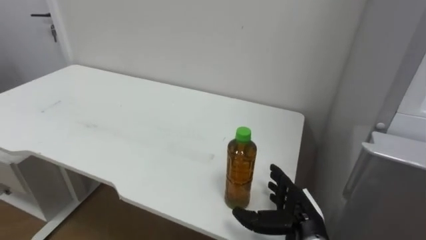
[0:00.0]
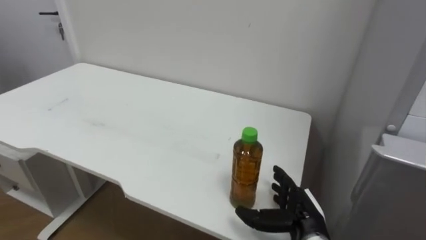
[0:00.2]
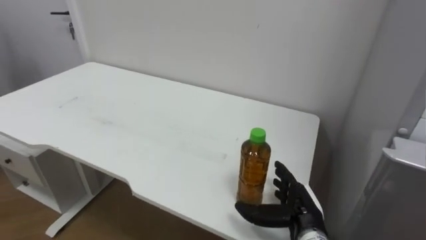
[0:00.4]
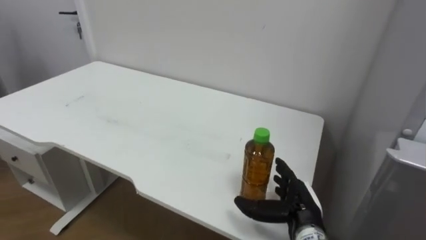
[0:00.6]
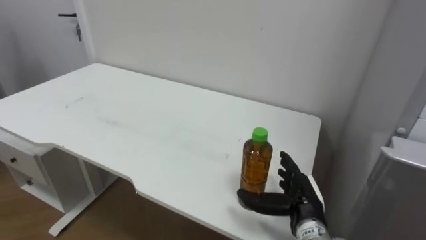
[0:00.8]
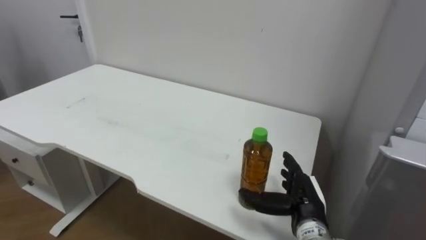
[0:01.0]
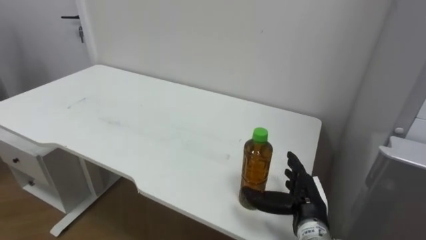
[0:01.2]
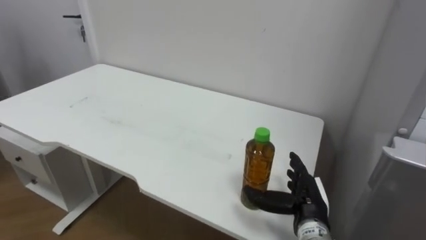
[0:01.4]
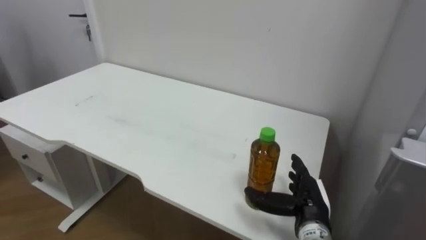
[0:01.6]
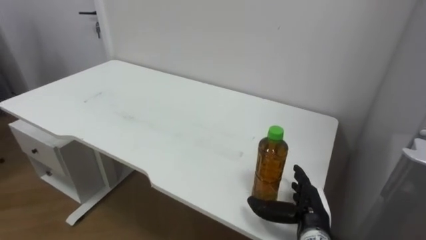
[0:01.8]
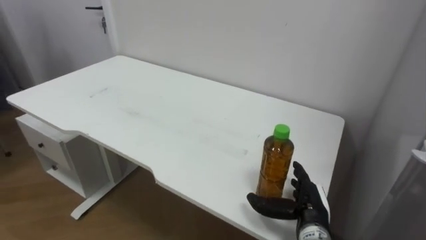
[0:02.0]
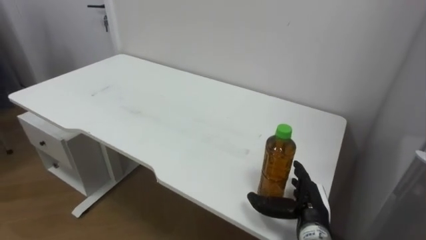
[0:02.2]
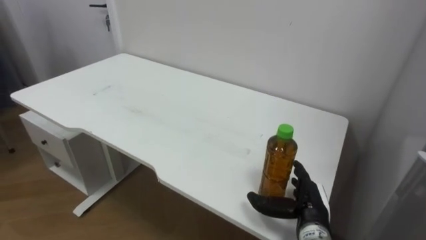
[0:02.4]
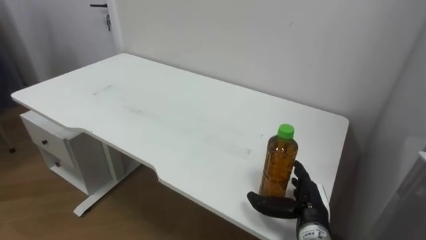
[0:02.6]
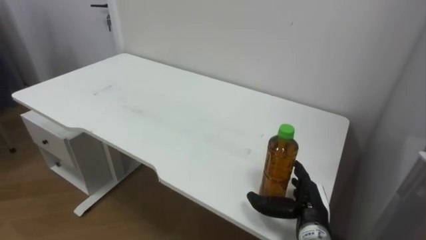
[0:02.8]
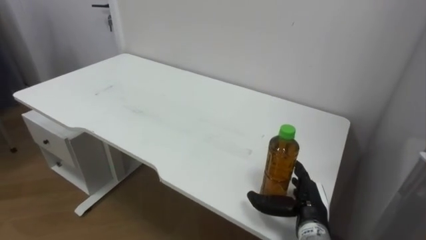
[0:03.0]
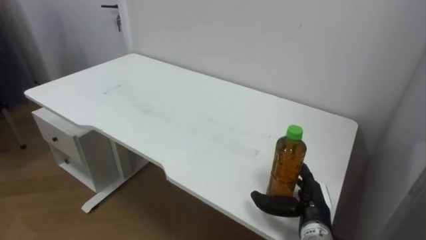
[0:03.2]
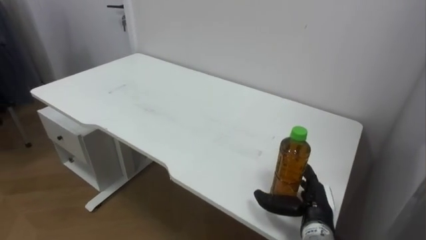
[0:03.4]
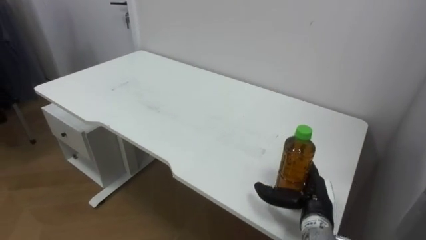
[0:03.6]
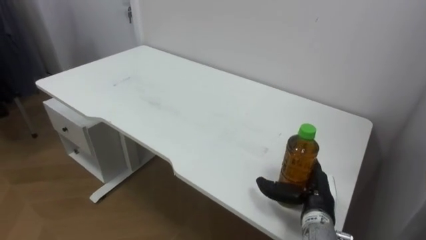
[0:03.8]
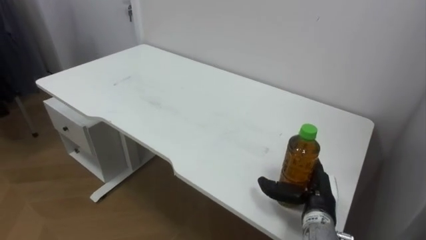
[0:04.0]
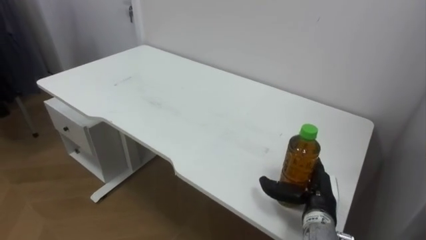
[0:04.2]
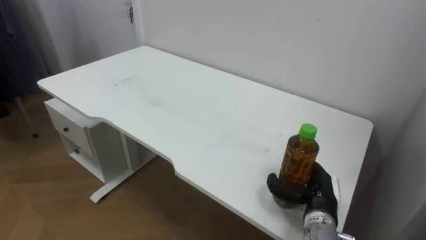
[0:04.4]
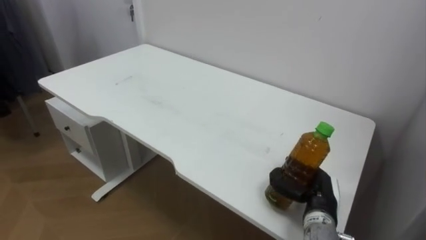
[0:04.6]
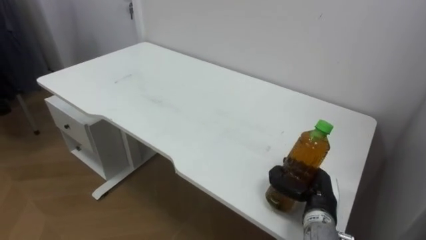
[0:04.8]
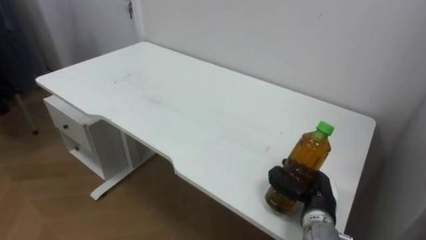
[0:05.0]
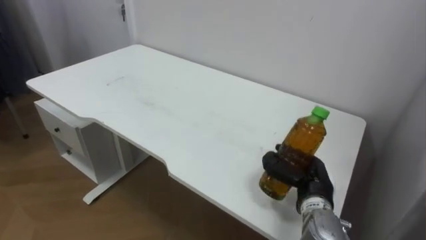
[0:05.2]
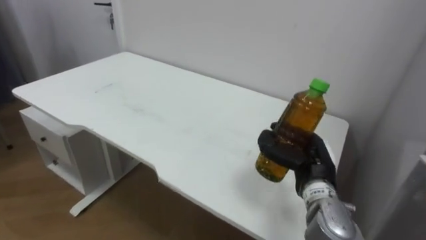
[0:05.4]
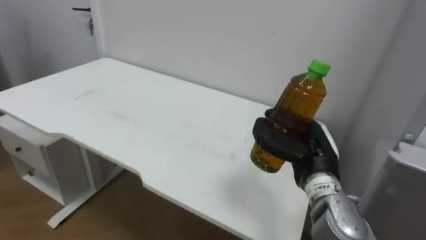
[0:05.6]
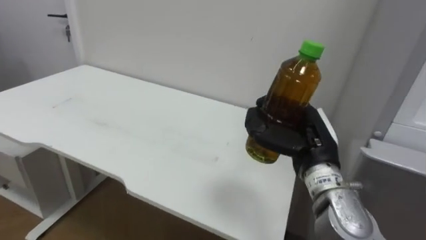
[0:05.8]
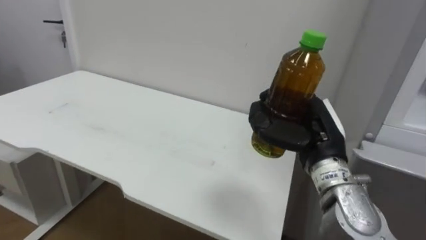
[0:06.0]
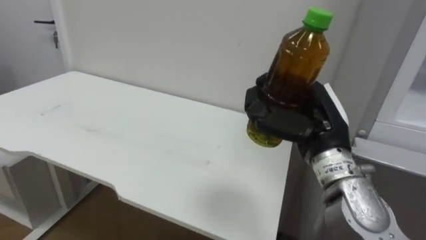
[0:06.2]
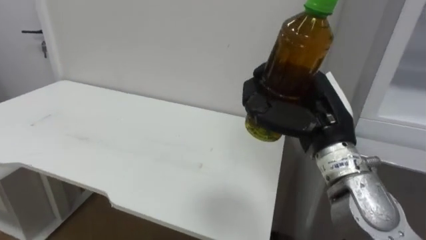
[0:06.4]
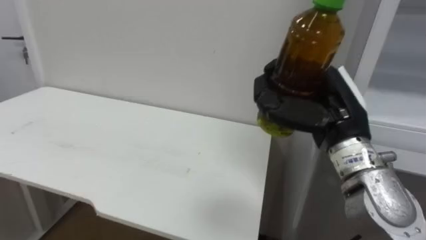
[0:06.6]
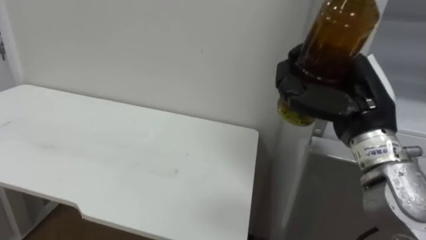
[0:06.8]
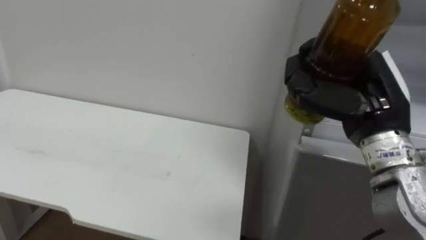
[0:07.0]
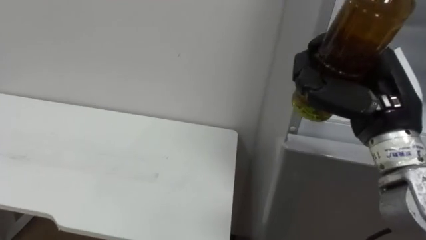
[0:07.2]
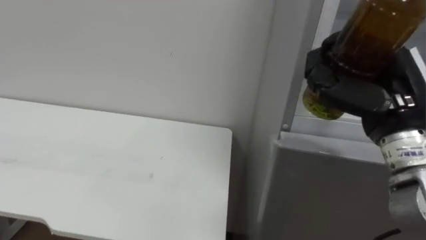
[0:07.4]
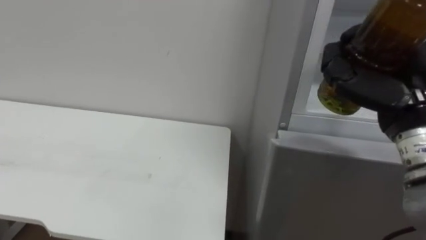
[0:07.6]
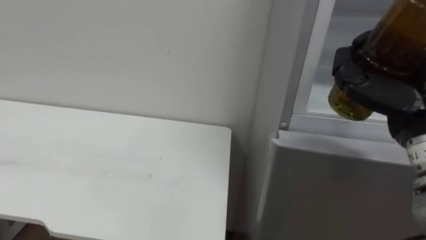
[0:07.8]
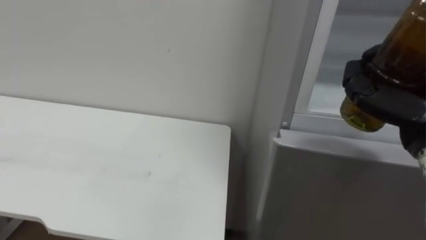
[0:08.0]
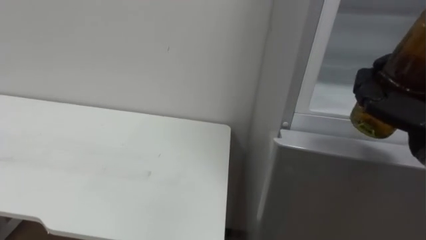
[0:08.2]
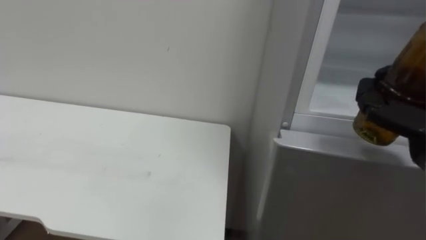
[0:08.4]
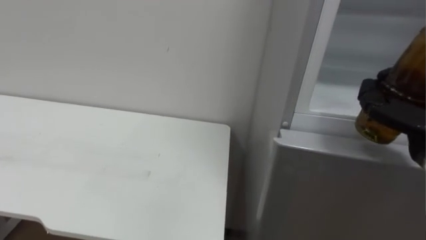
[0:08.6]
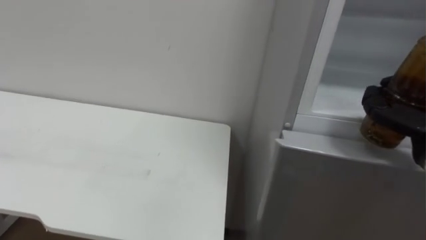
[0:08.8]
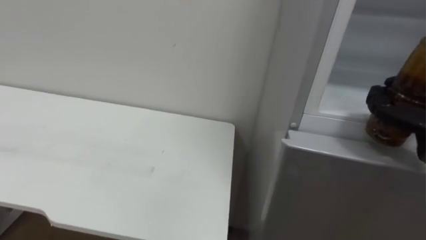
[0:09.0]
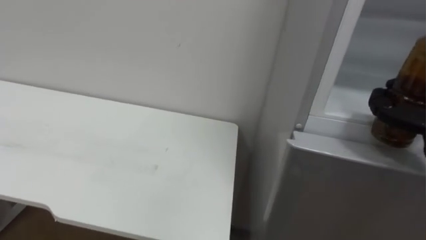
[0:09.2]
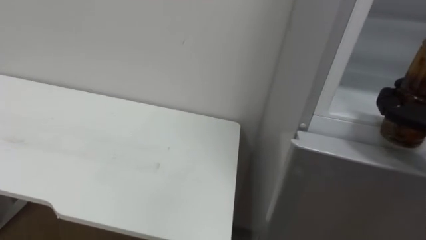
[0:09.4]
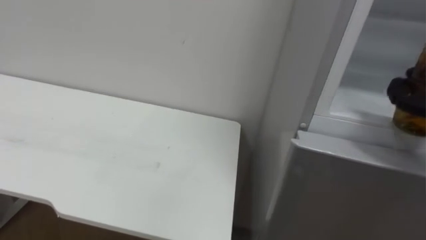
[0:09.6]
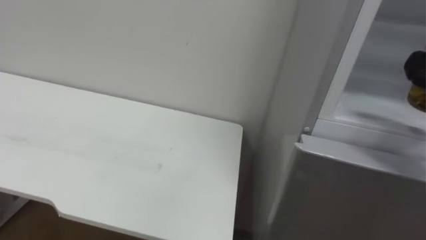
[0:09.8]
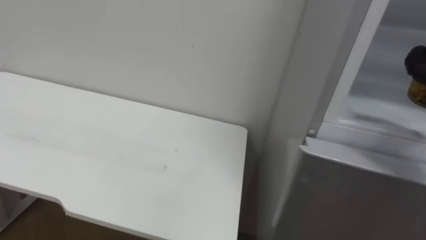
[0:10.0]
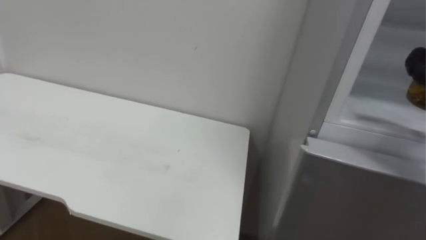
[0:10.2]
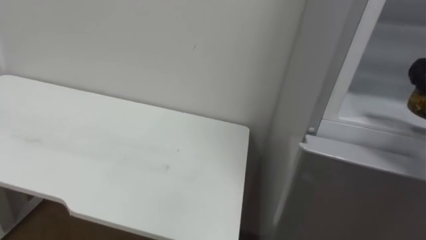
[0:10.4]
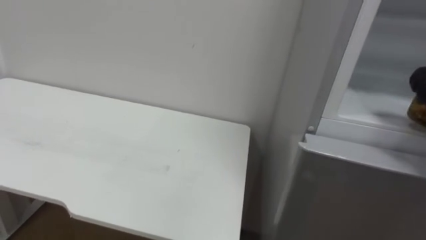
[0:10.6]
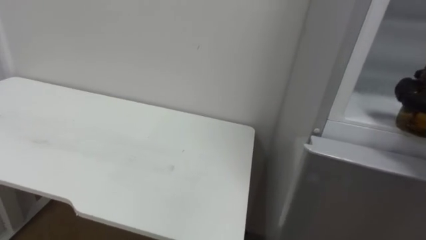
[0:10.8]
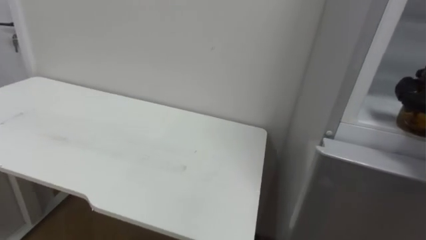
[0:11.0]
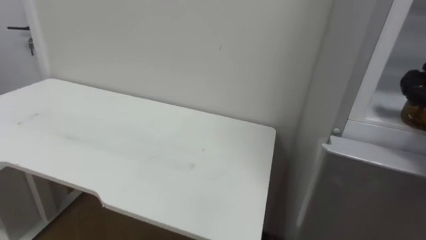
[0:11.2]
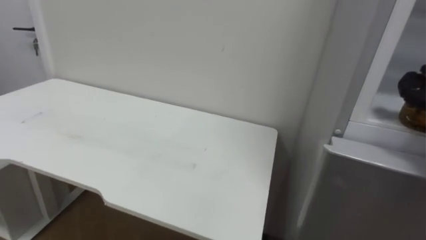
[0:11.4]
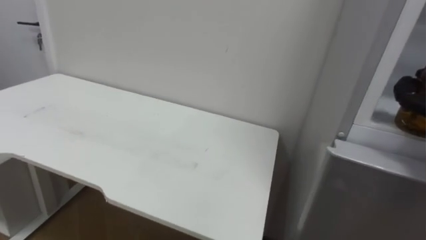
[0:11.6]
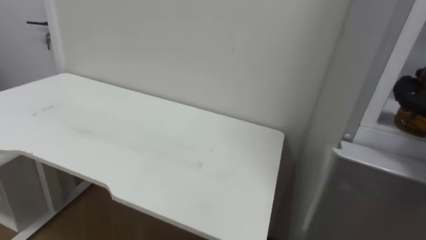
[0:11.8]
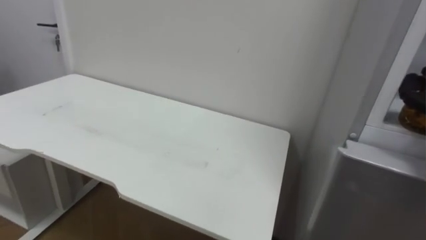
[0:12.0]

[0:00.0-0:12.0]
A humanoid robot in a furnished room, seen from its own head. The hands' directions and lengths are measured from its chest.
Task of the whole recording: Open the upper refrigerator door, put the drink from the table into the refrigerator, and then close the refrigerator door.
0:04.4 to 0:06.0: The right hand goes some 15 cm upward, and closes.
0:06.0 to 0:07.6: The right hand heads upward and to the right, covering about 10 cm.

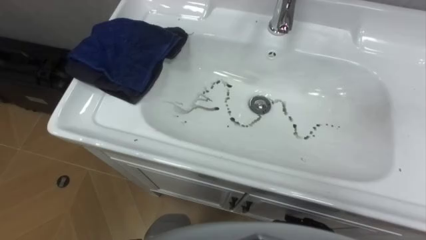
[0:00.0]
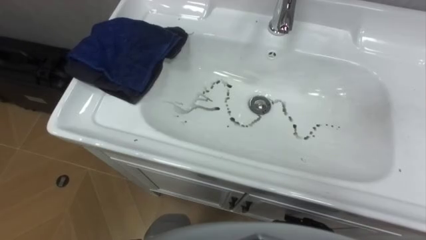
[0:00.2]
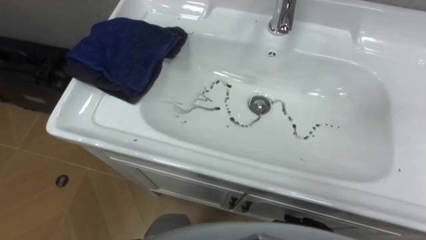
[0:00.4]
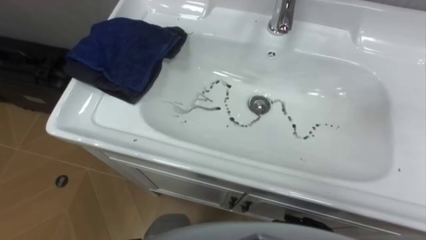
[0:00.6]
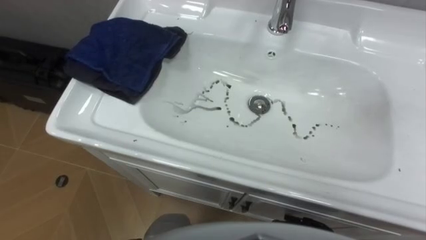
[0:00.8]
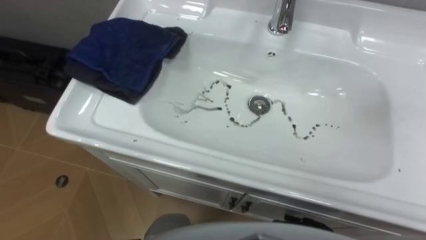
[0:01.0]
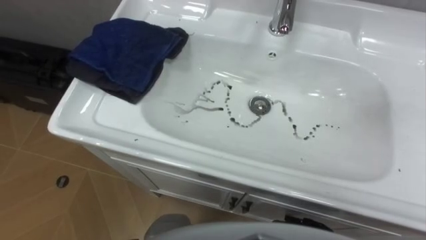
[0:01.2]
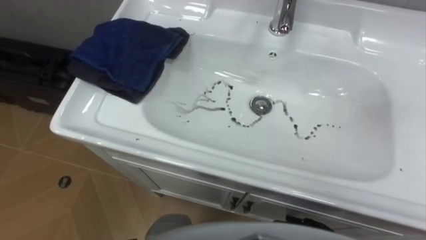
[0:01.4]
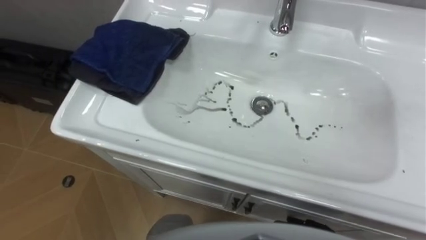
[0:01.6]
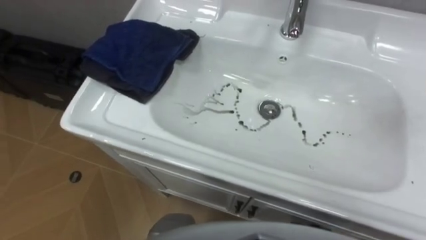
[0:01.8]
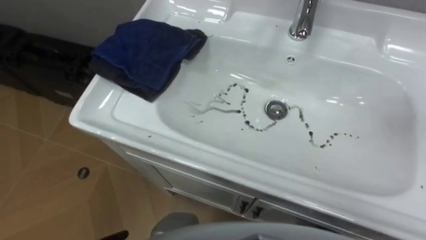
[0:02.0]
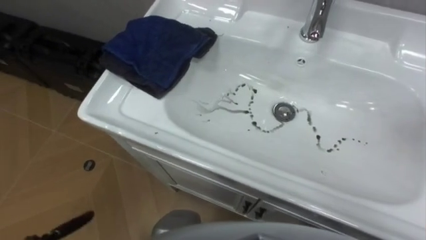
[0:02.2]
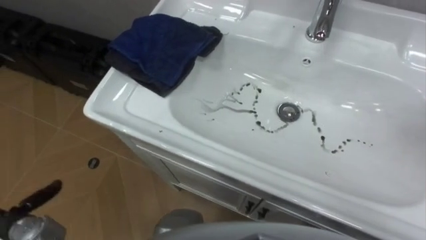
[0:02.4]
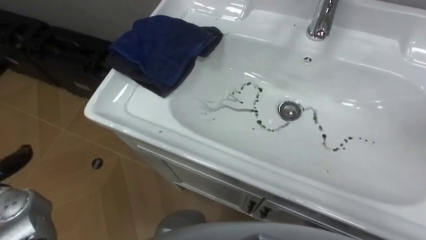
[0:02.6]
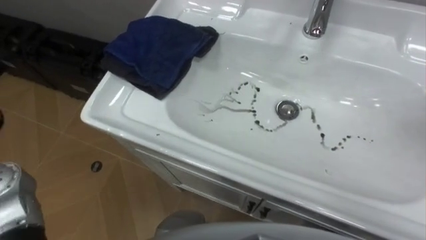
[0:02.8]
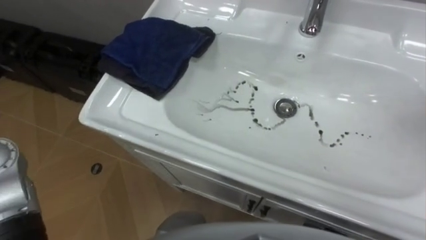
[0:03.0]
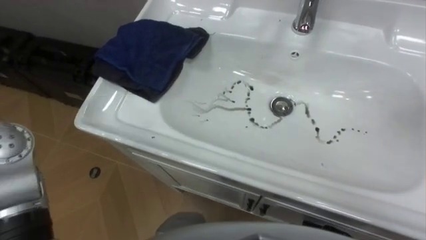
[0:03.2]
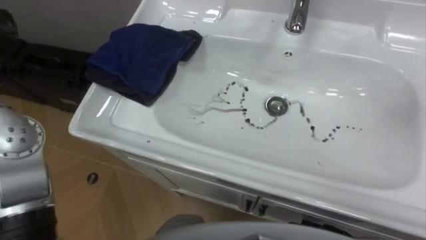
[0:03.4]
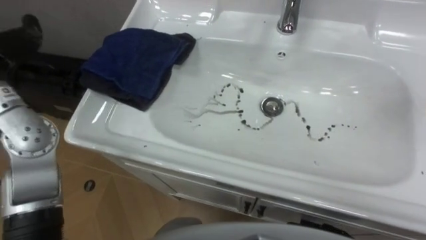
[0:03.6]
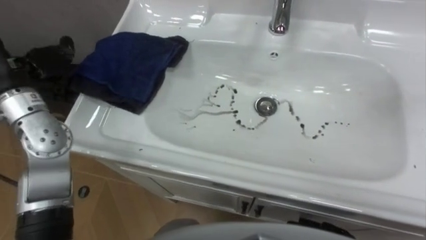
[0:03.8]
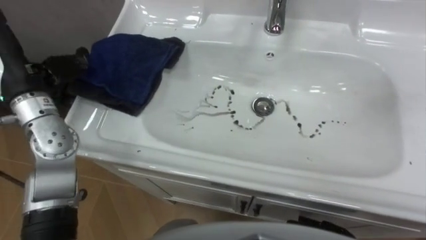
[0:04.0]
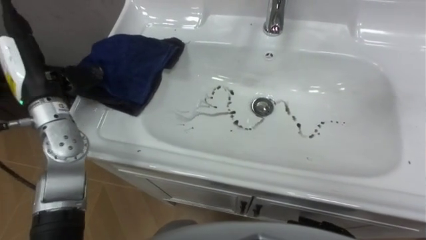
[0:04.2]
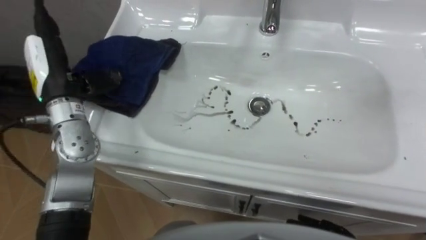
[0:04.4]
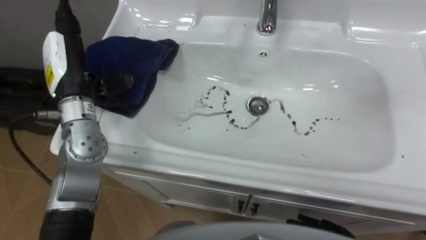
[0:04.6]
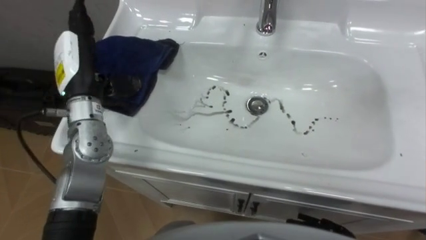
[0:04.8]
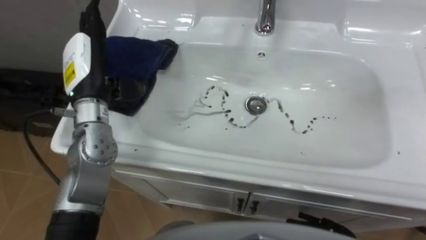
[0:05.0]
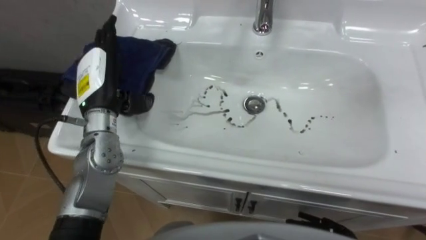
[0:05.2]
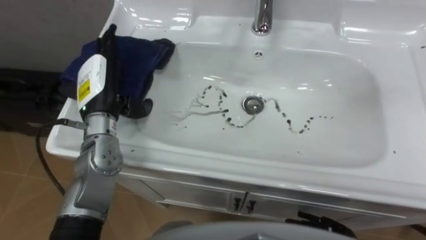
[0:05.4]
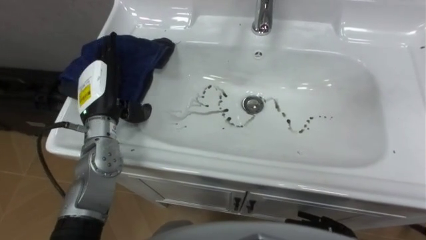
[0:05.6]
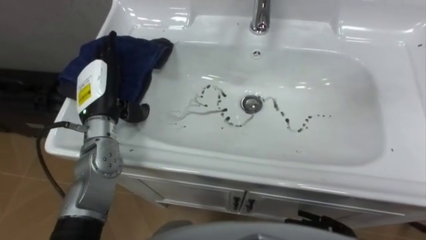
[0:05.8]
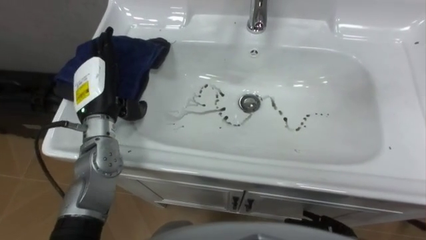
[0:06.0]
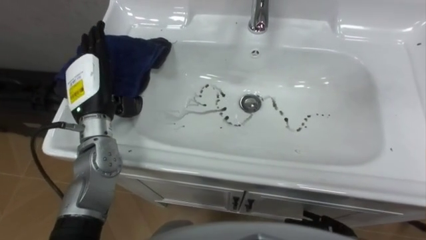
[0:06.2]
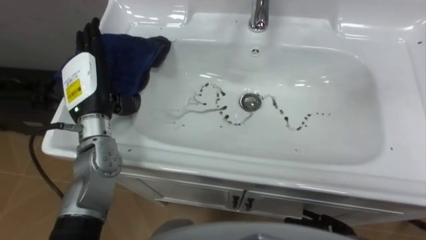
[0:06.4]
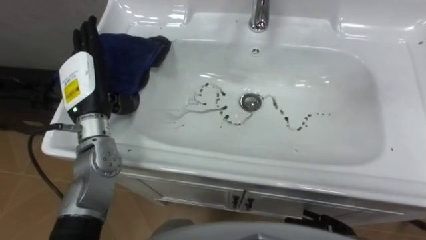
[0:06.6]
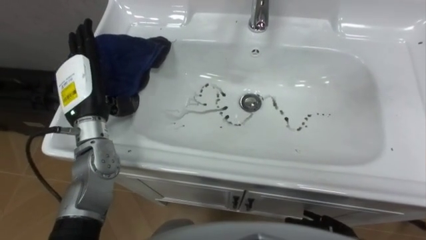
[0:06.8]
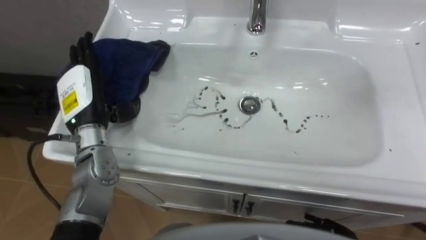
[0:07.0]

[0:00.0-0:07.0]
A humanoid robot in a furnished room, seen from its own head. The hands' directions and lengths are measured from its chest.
Task of the whole recording: Use the cloth on the right to wipe away the black stain in the sink.
0:04.2 to 0:05.6: The left hand is displaced to the right and downward by approximately 10 cm.
